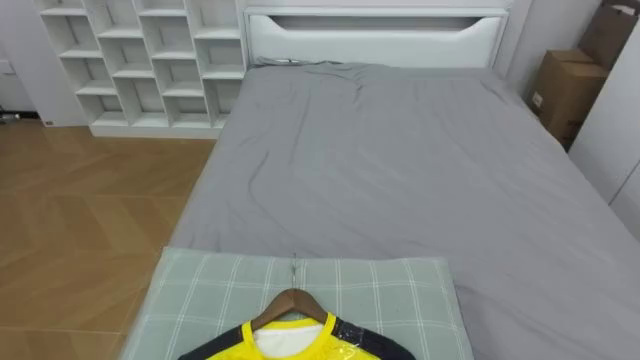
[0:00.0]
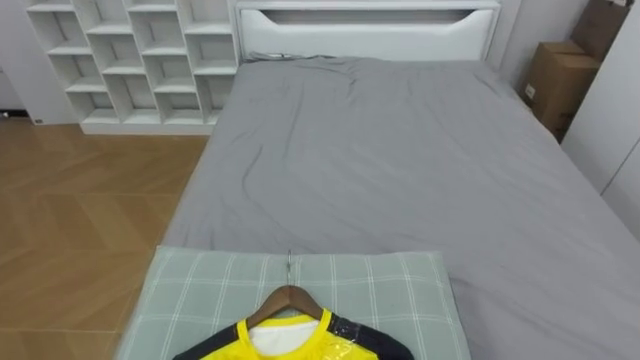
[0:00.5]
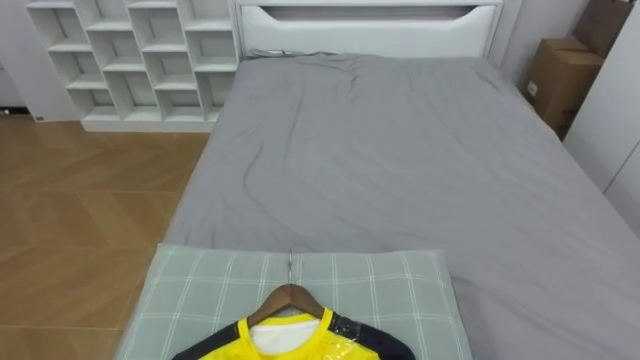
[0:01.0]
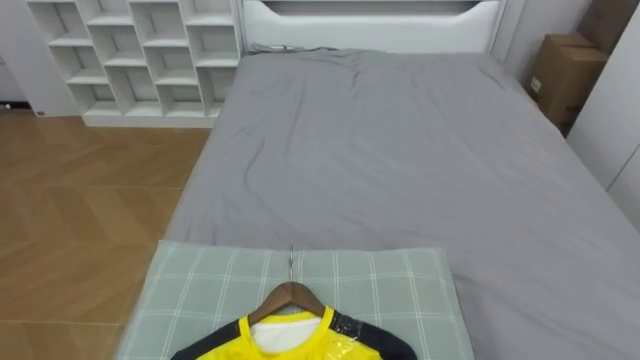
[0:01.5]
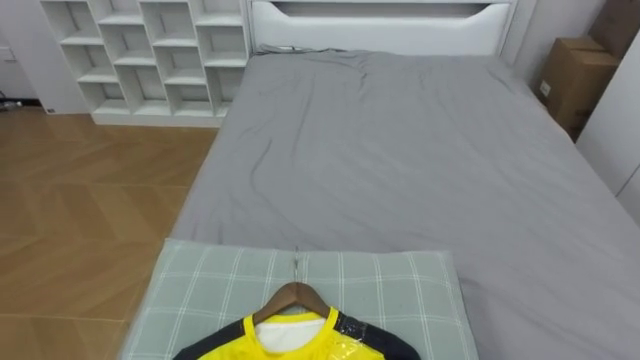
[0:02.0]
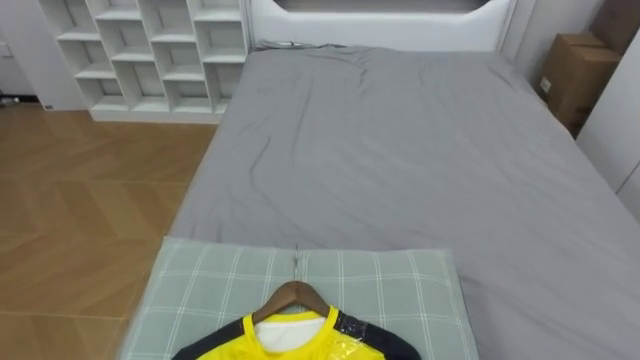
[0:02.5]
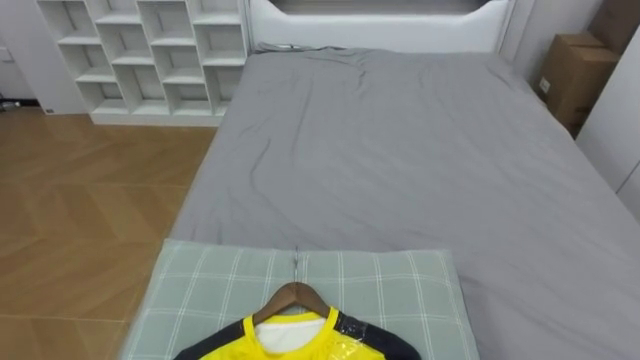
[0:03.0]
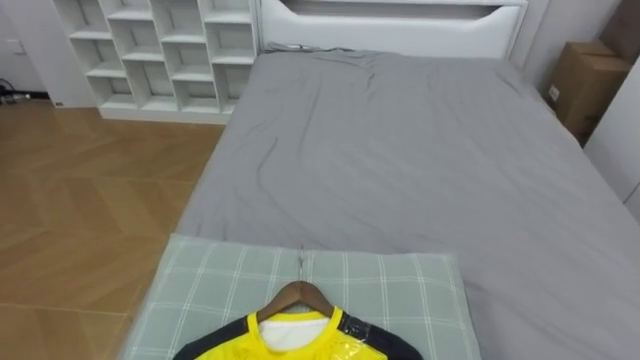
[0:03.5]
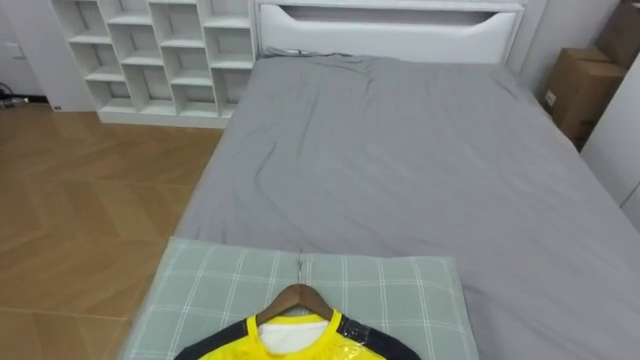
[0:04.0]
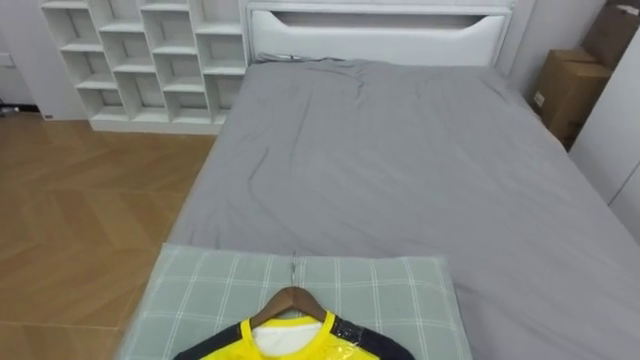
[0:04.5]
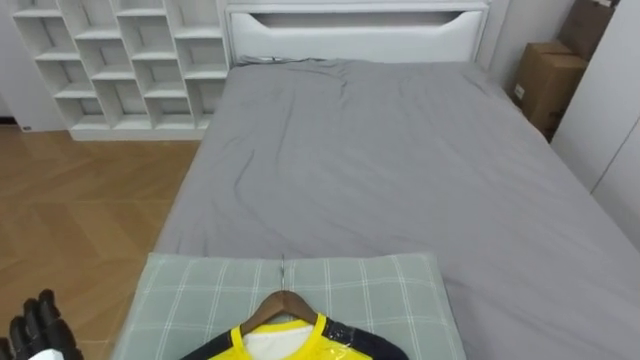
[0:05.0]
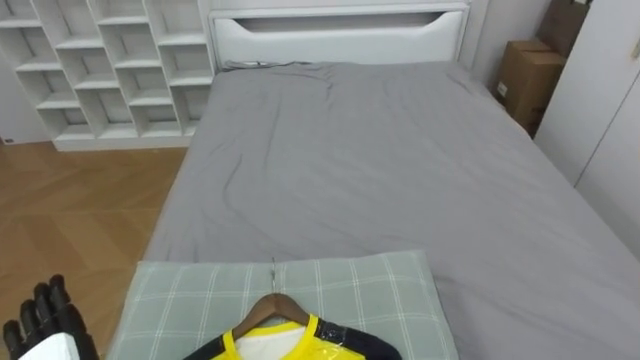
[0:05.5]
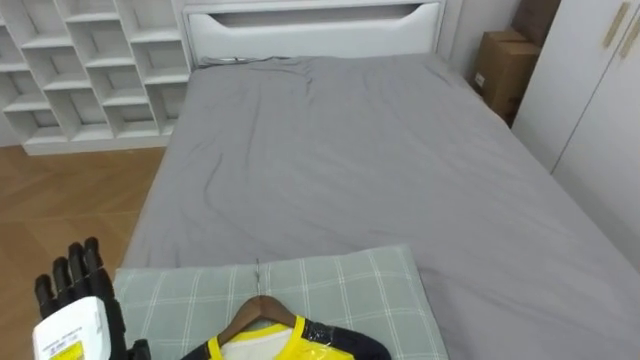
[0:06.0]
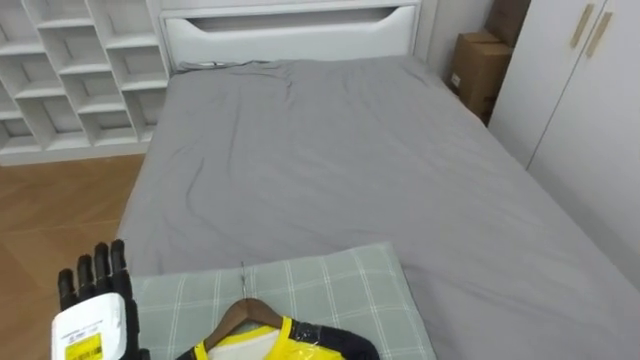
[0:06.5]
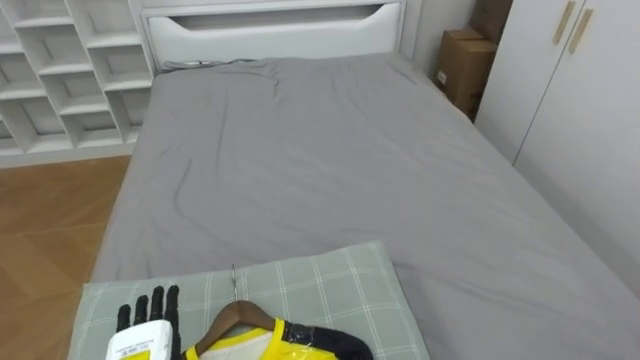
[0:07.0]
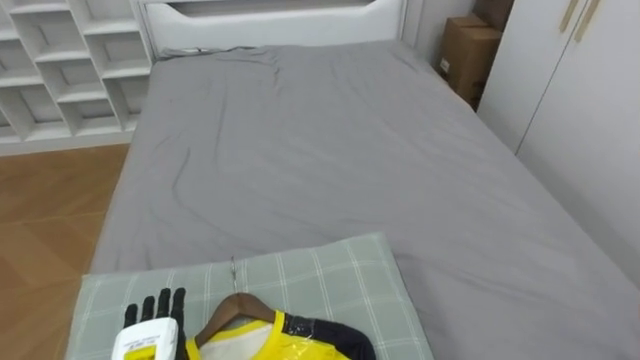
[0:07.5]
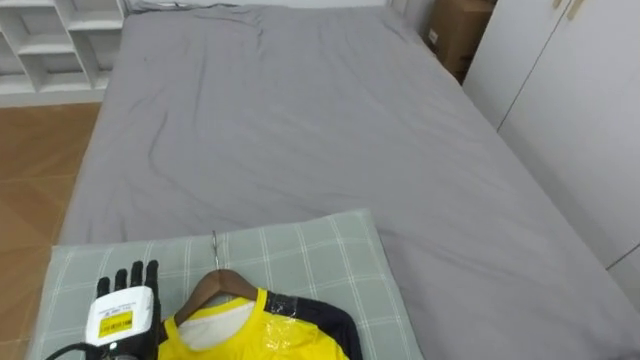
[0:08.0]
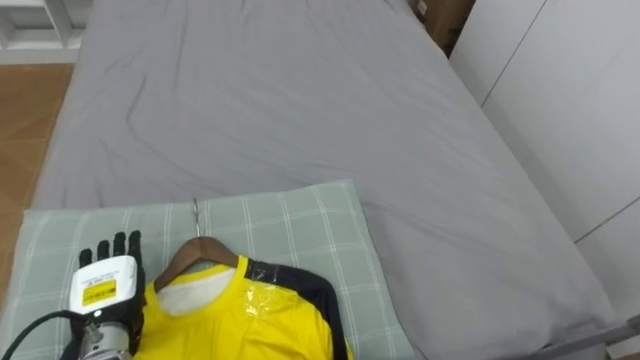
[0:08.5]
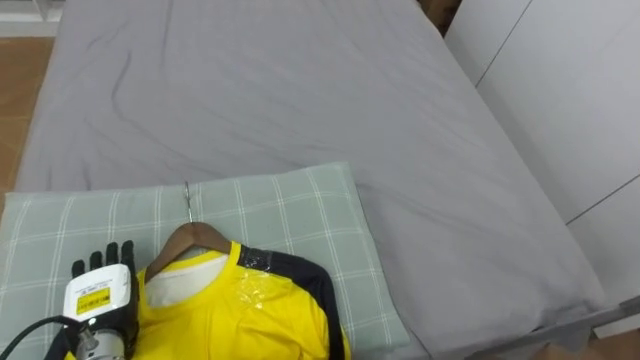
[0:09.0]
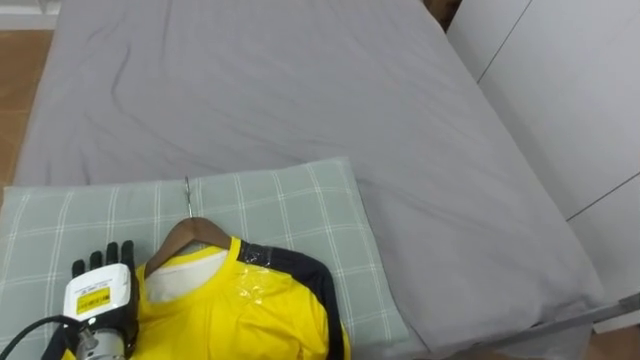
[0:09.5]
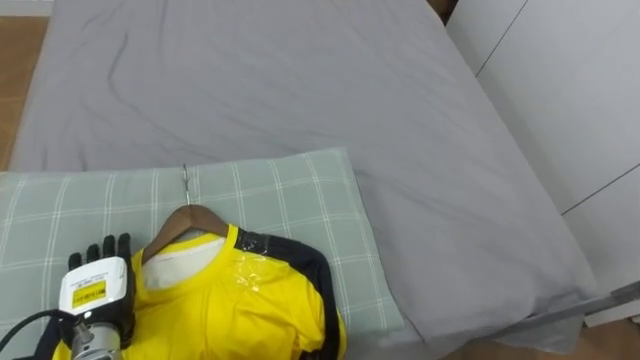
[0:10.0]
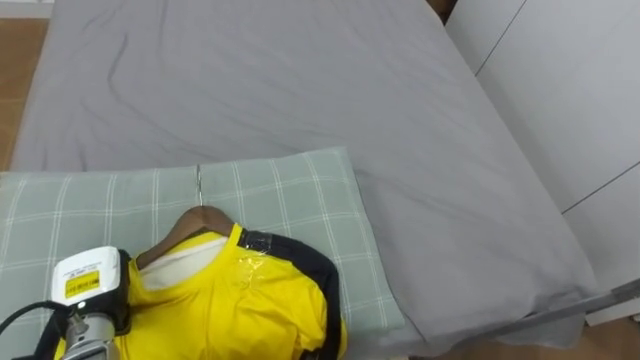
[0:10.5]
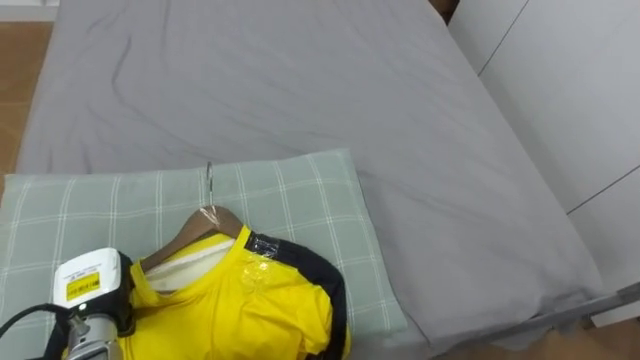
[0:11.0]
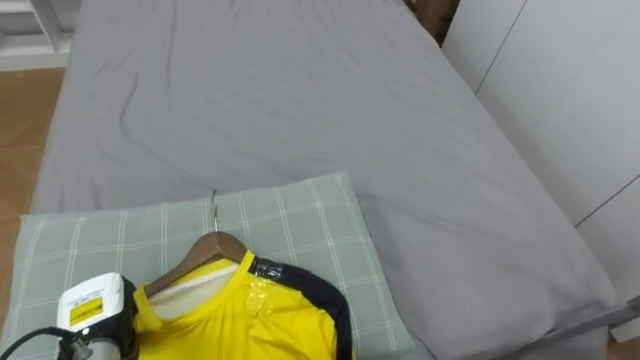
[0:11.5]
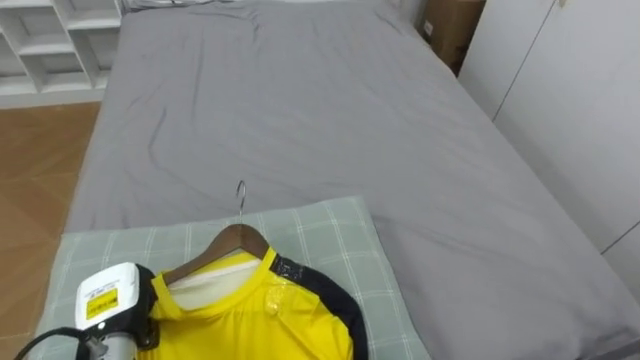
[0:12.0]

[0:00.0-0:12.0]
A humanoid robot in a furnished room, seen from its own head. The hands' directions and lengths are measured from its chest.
Task of the whole recording: Pick up the yellow shirt on the bed and hang it on the clothes rack on the right.
0:08.0 to 0:10.0: The left hand shifts by approximately 5 cm.
0:10.0 to 0:12.0: The left hand closes up.

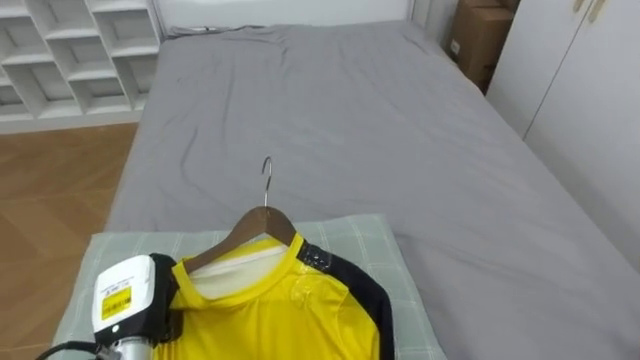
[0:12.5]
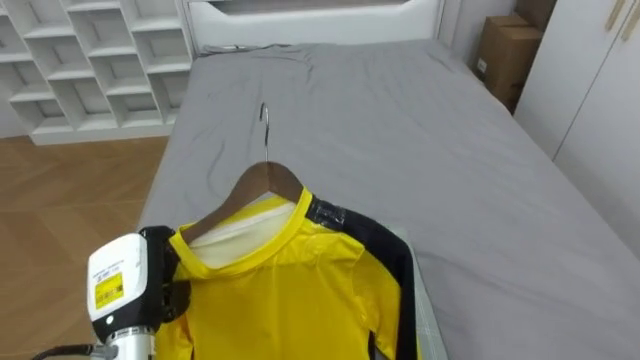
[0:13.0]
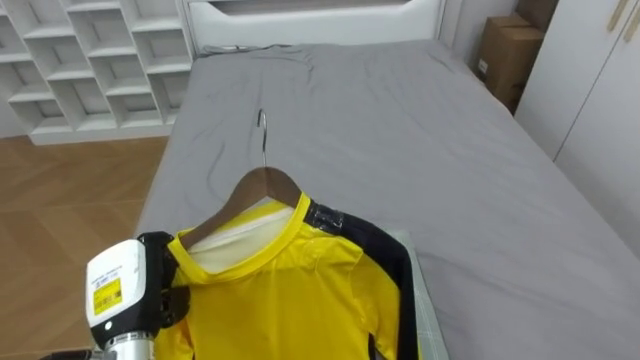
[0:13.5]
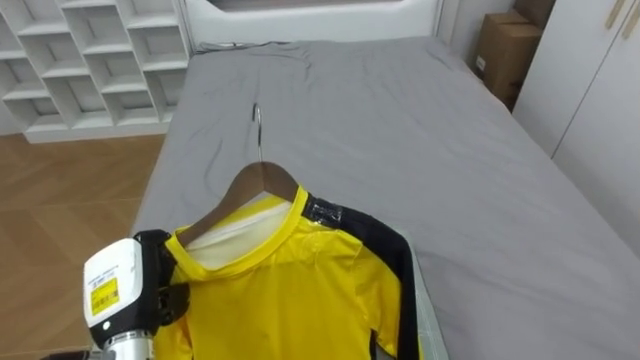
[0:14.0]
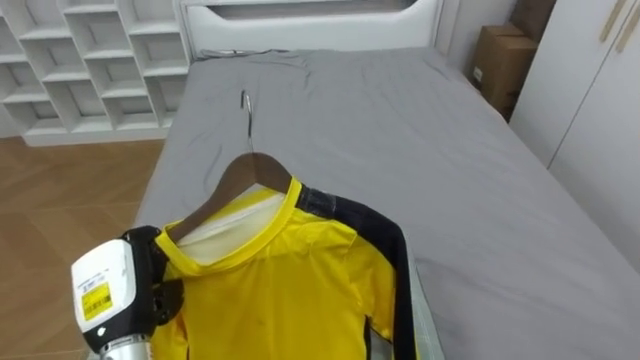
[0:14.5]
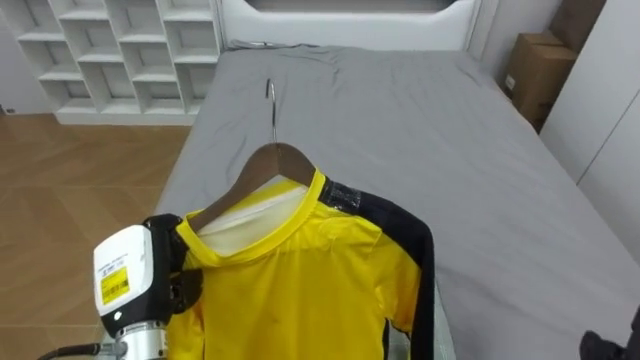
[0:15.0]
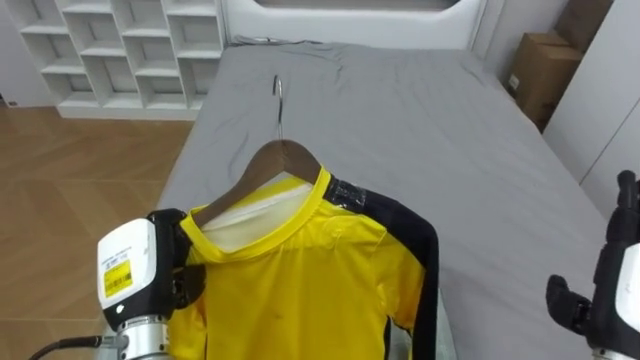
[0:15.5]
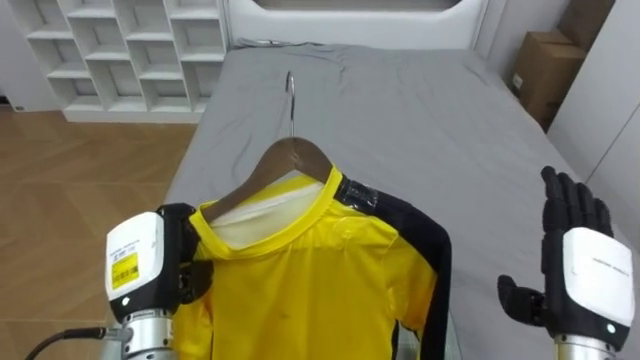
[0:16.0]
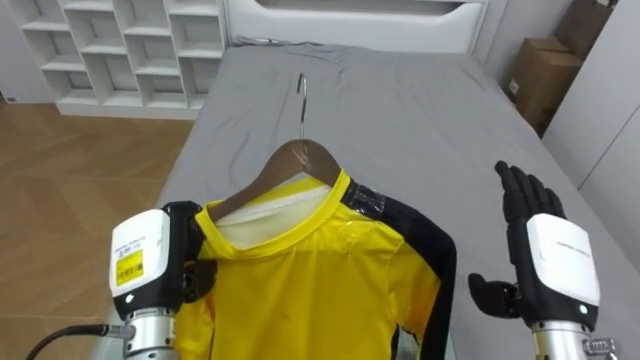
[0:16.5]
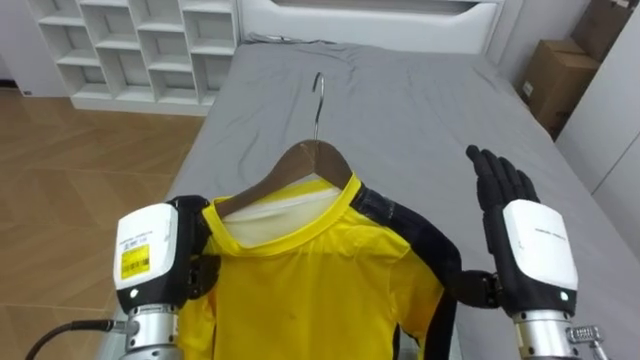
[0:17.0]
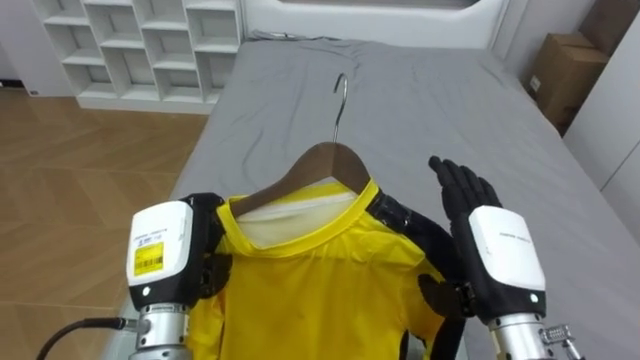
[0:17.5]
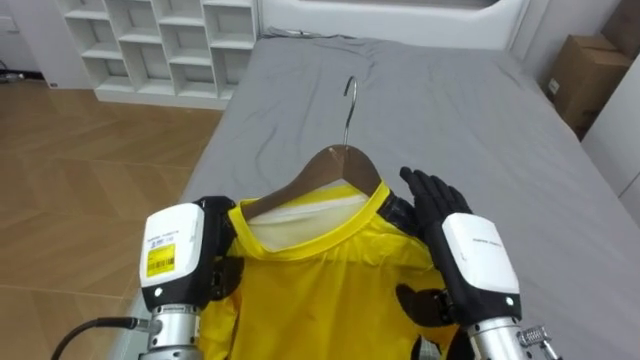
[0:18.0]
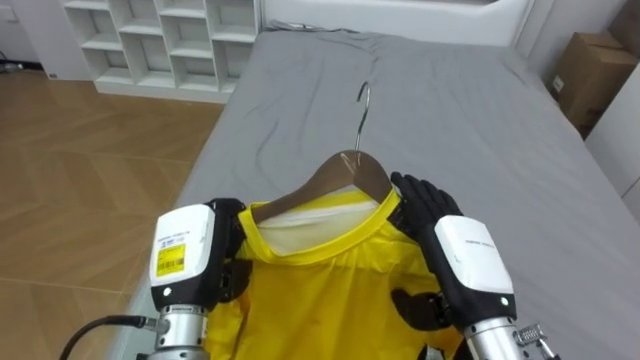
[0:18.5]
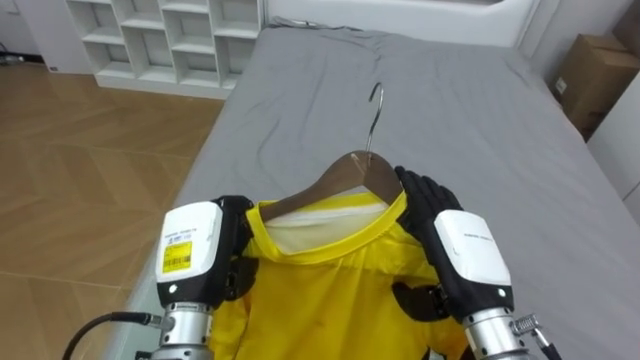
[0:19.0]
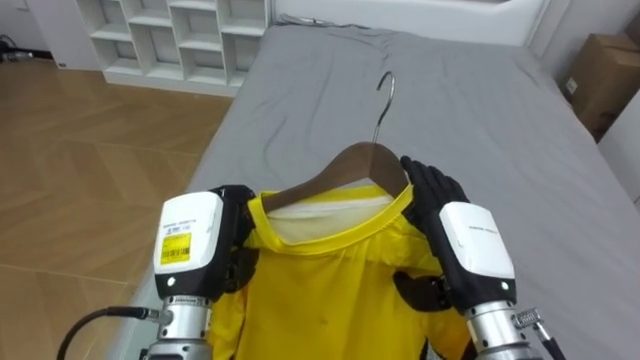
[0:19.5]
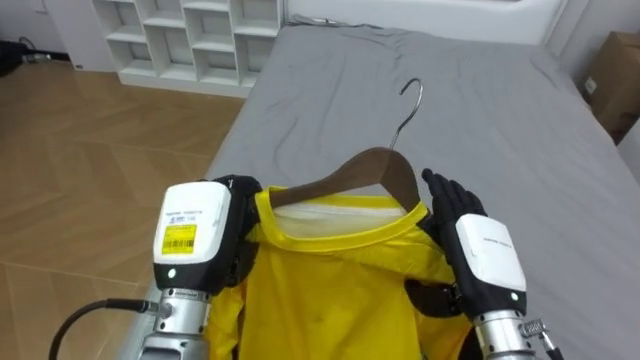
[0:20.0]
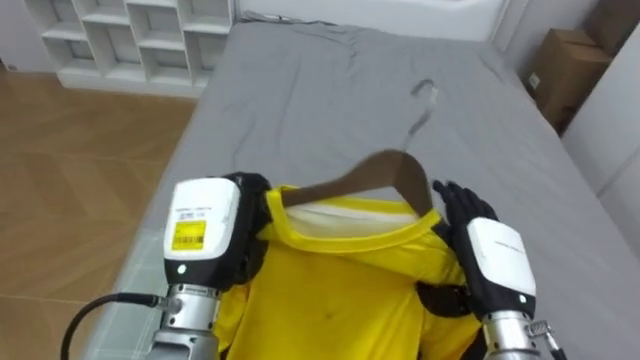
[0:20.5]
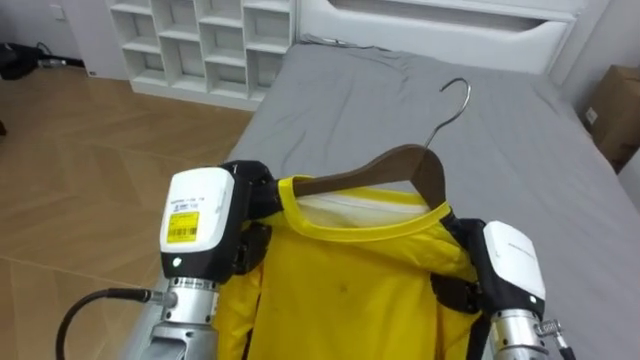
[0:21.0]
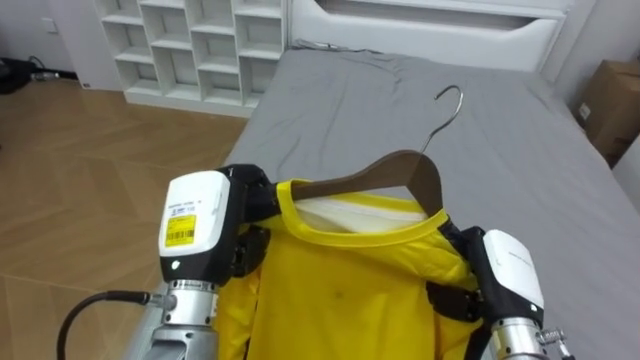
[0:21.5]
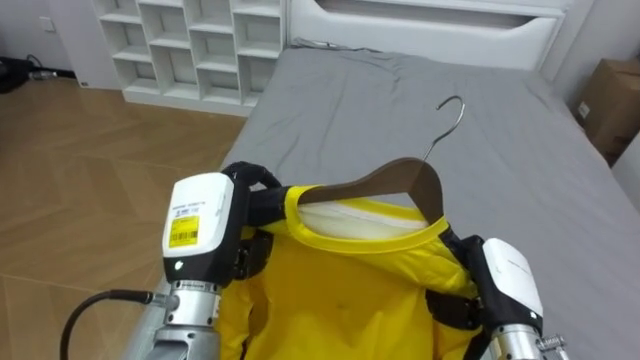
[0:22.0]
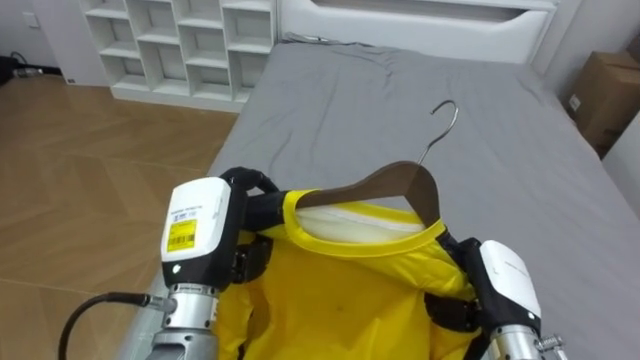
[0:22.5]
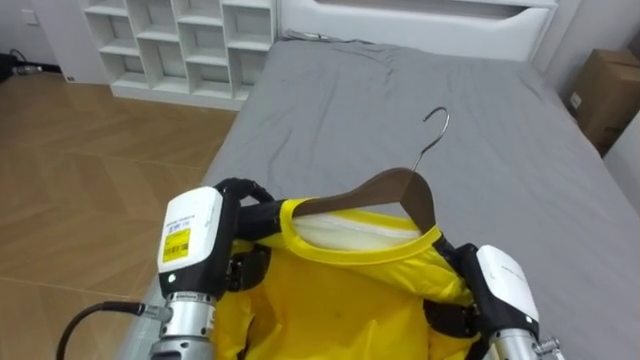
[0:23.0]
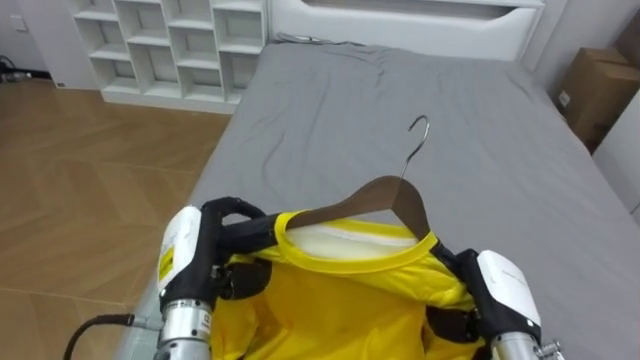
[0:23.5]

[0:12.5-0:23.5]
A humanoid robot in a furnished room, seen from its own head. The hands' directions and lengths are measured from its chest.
Task of the whole recording: Pick up the yellow shirt on the bed and hang it on the clothes rack on the right.
0:12.5 to 0:14.5: The left hand is displaced upward by some 5 cm.
0:16.0 to 0:18.0: The right hand goes some 10 cm to the left.
0:20.0 to 0:21.5: The right hand shifts by roughly 5 cm, and closes up.
0:21.5 to 0:23.5: The left hand heads downward, covering roughly 5 cm.
